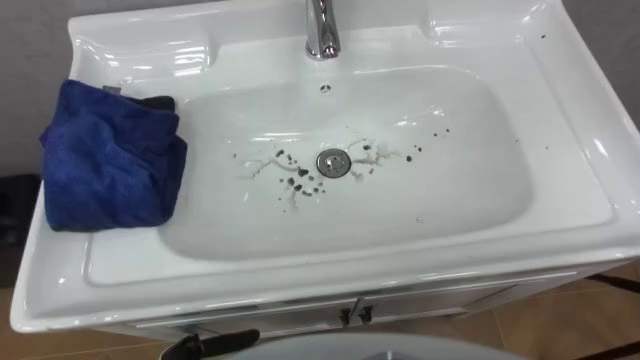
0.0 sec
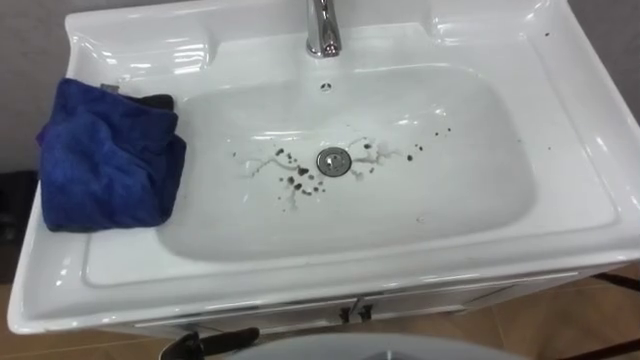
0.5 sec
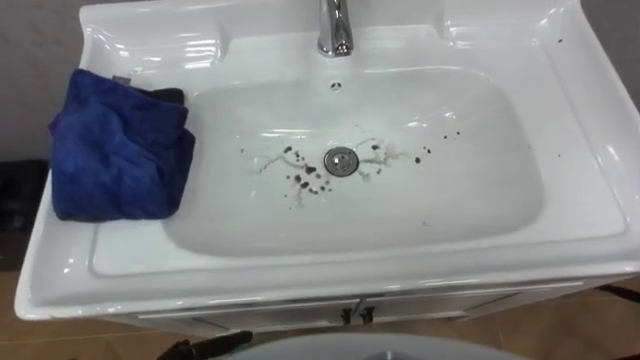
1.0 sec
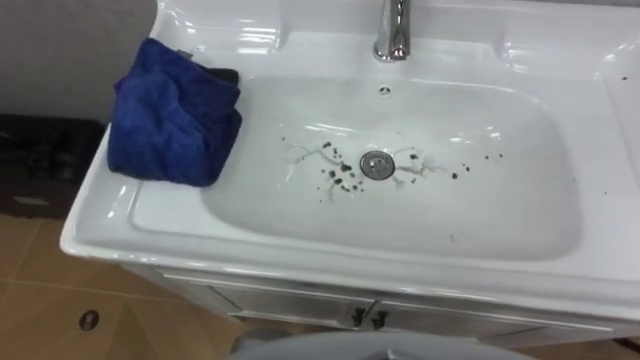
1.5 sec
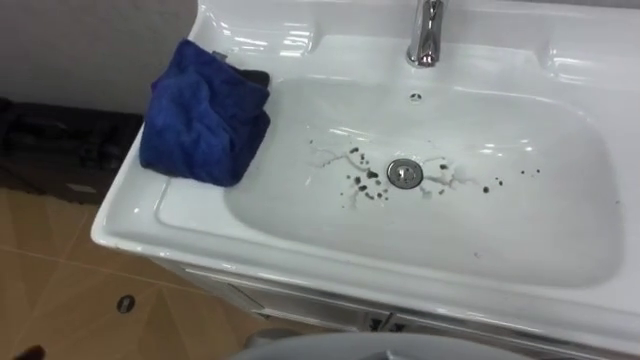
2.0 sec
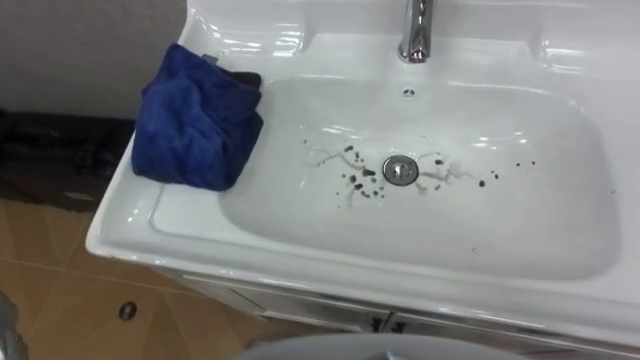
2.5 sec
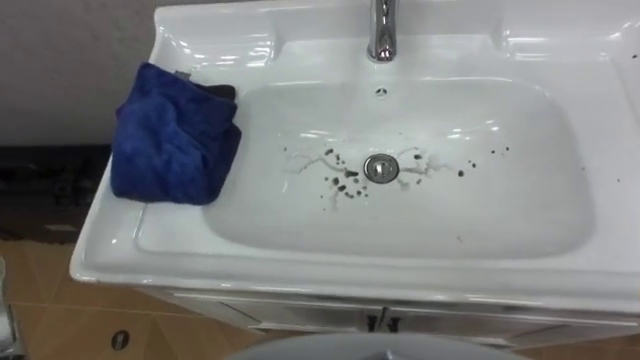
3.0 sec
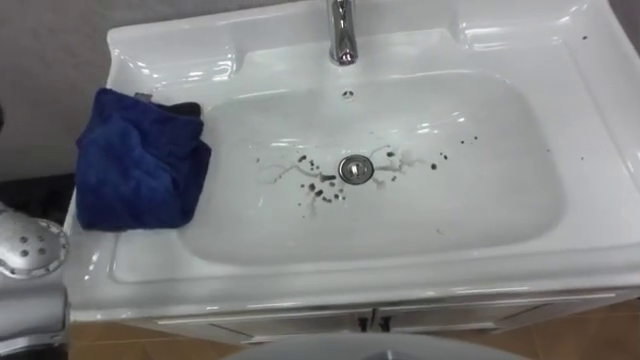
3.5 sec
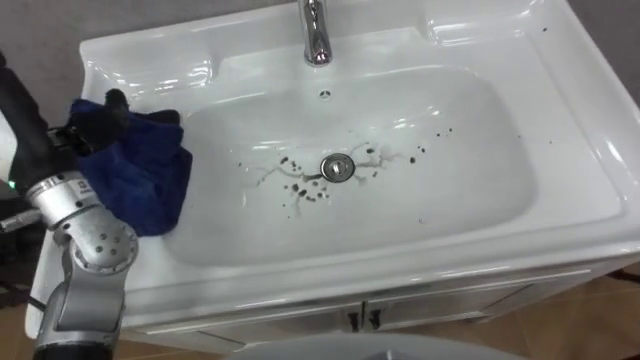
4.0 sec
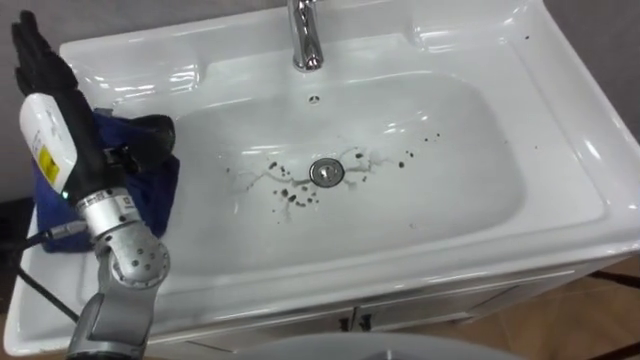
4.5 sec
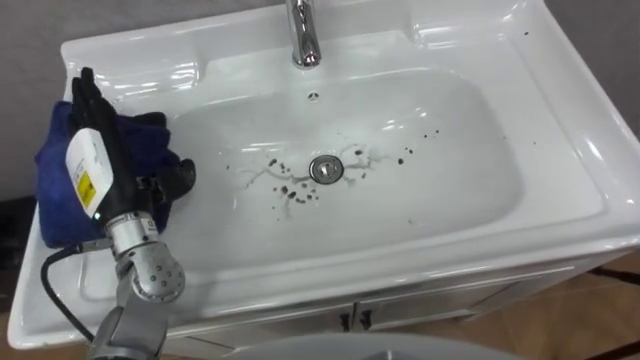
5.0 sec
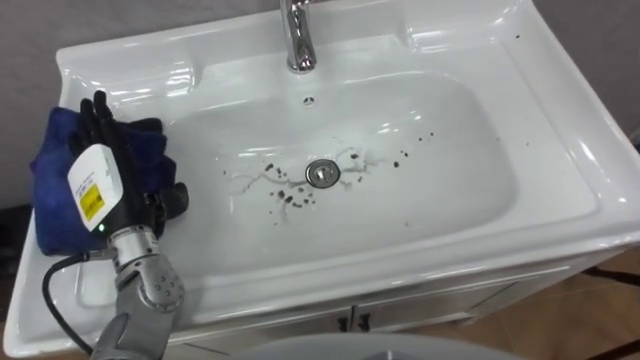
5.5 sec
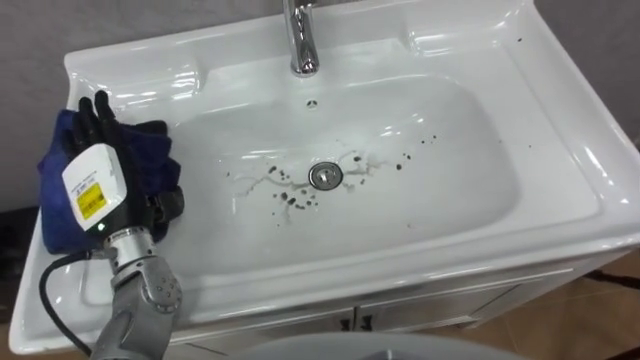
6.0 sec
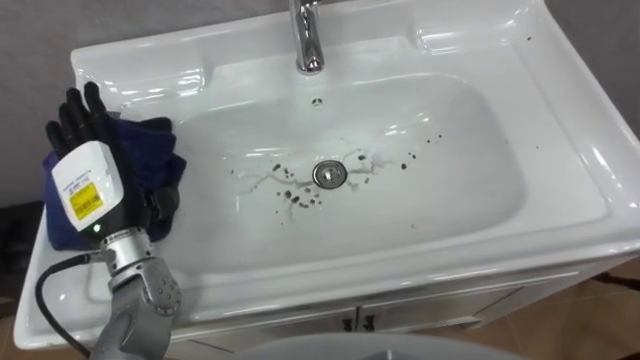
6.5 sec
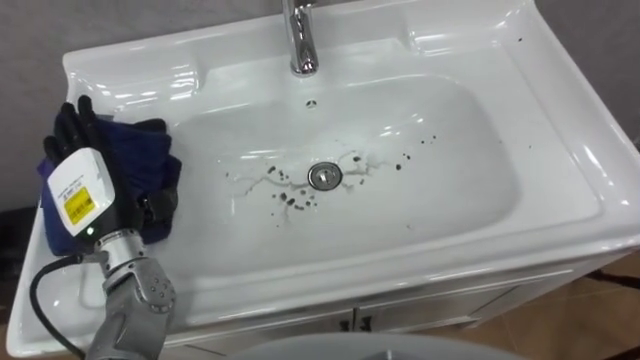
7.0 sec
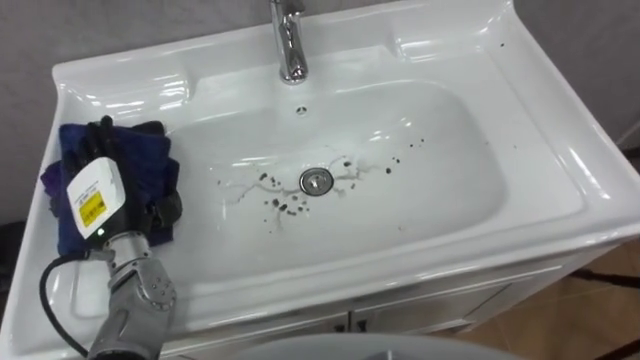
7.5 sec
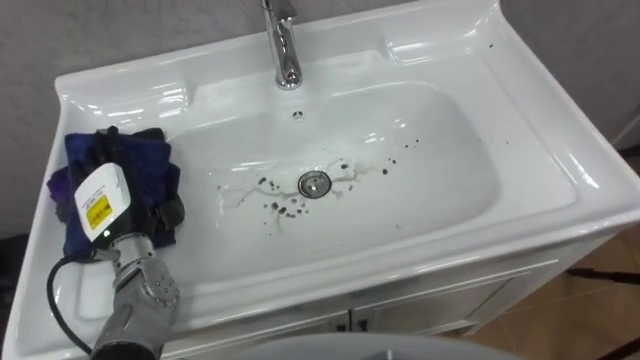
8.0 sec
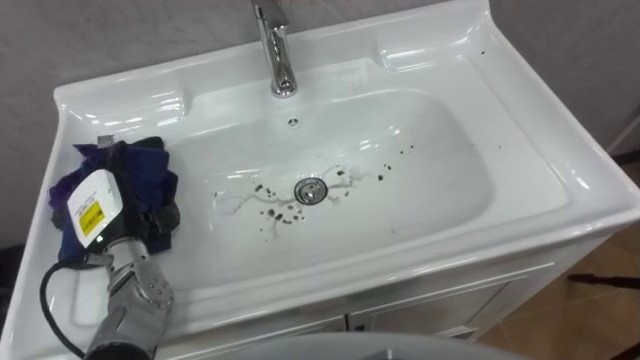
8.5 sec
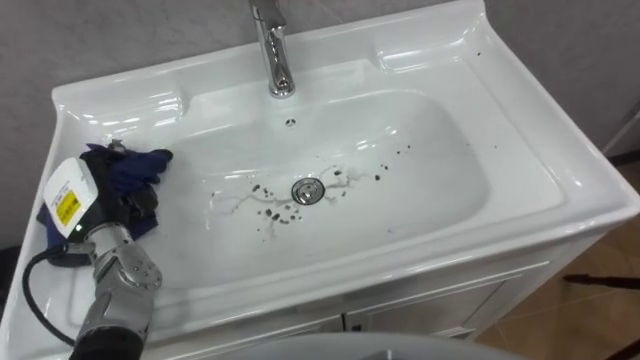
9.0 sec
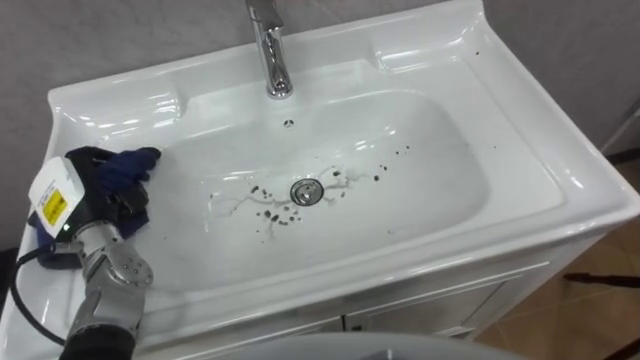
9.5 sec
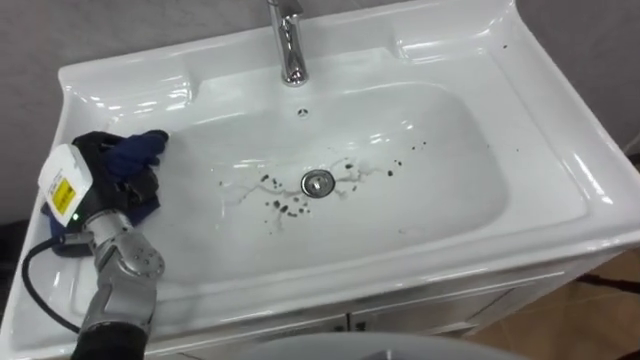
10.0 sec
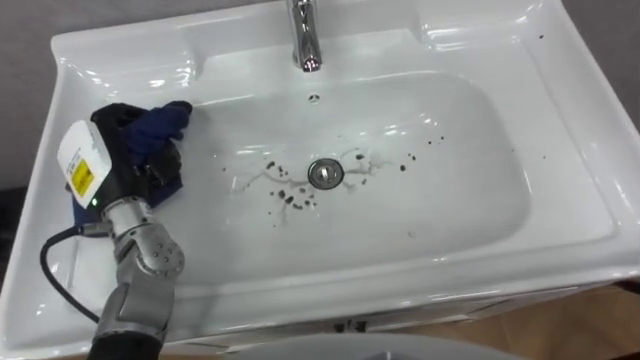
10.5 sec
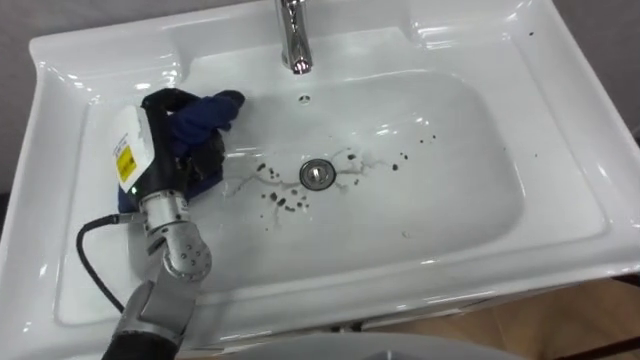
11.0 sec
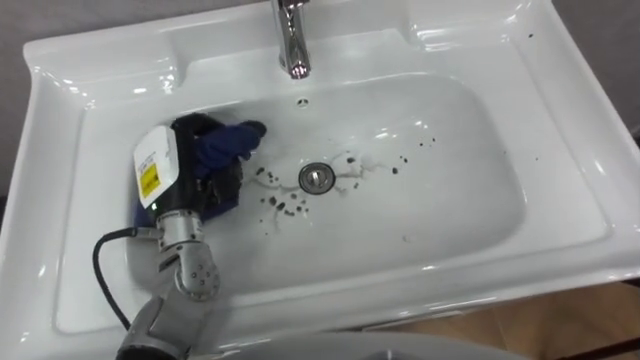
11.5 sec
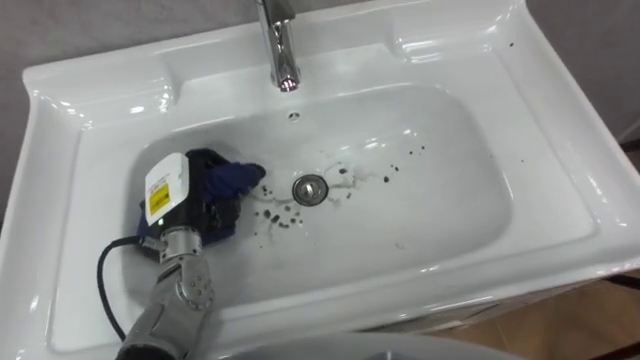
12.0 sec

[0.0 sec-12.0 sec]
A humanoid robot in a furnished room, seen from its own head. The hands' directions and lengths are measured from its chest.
Task of the whole recording: Use the cloth on the right to wipe away the black stain in the sink.
4.0 sec to 6.0 sec: The left hand shifts some 10 cm downward.
6.0 sec to 8.0 sec: The left hand heads downward, covering approximately 5 cm.
8.0 sec to 10.0 sec: The left hand closes its fingers.
10.0 sec to 12.0 sec: The left hand goes approximately 10 cm to the right.

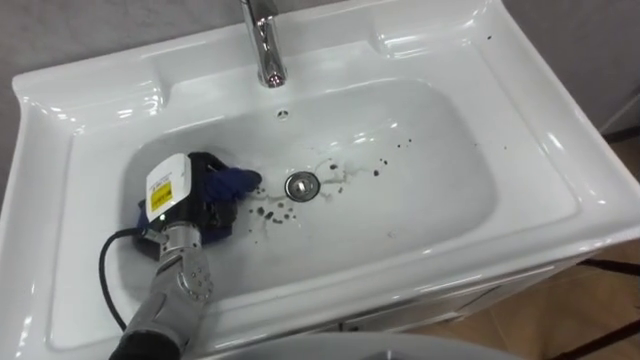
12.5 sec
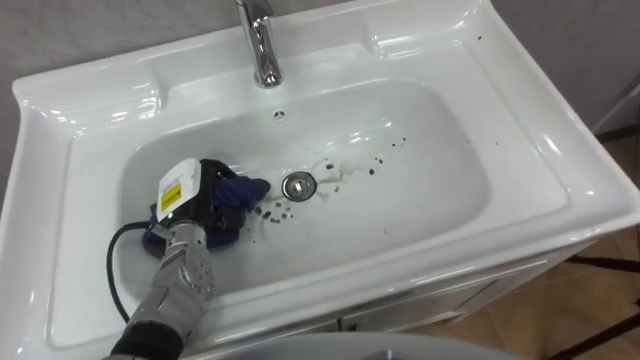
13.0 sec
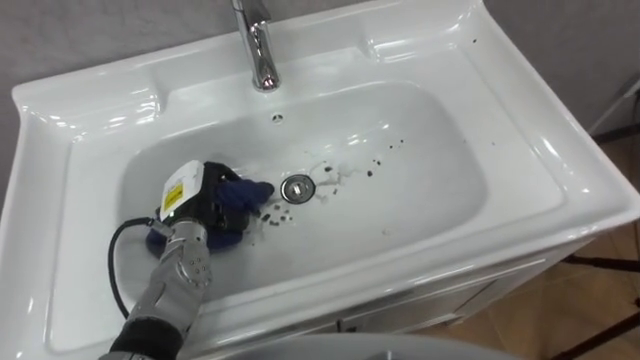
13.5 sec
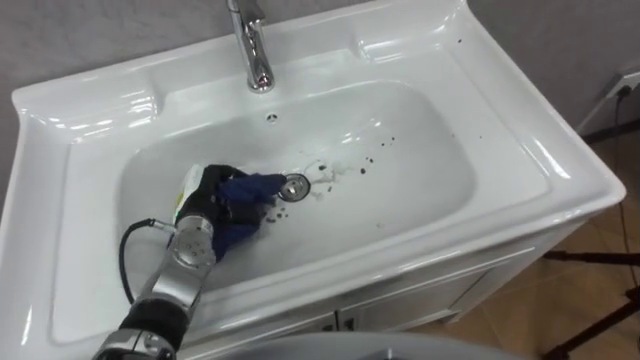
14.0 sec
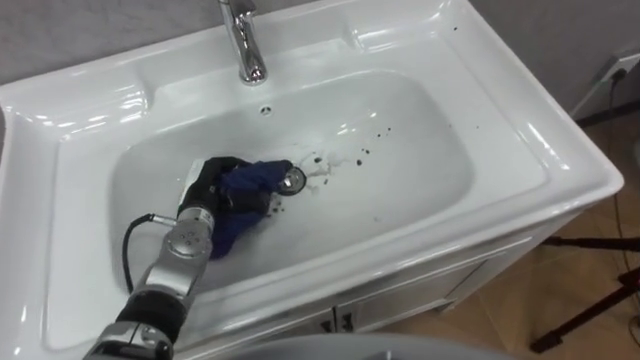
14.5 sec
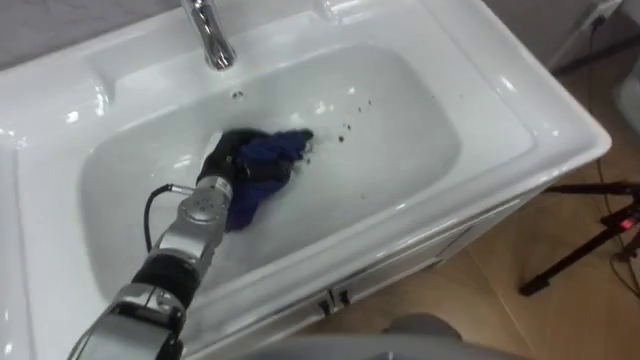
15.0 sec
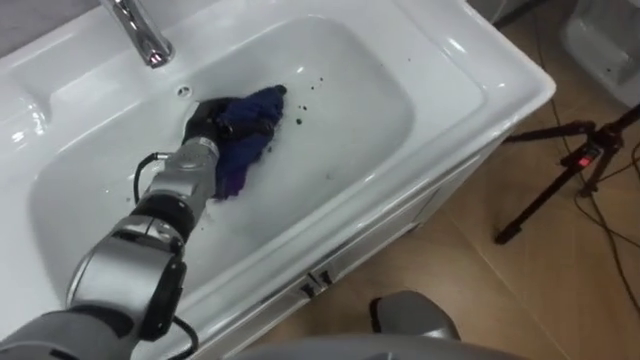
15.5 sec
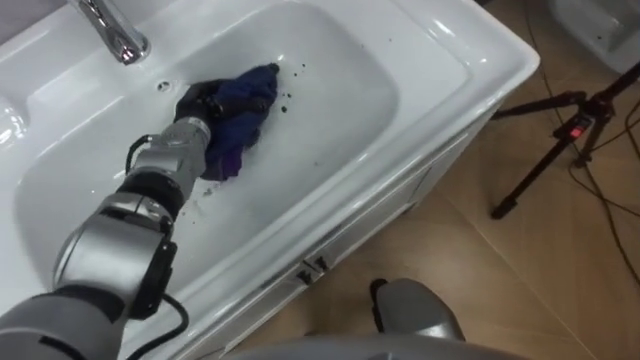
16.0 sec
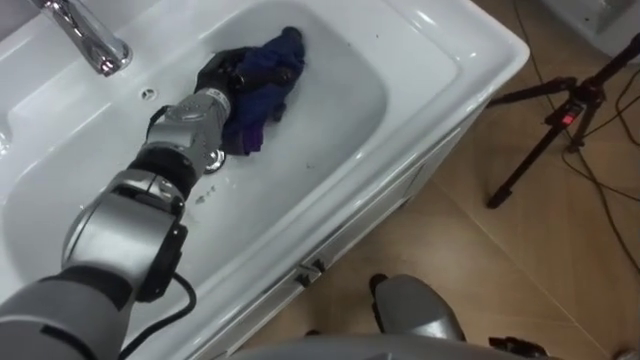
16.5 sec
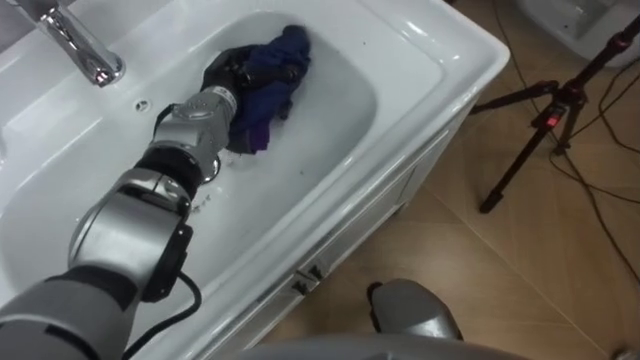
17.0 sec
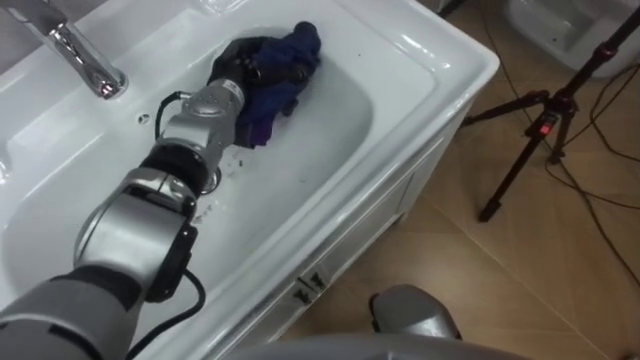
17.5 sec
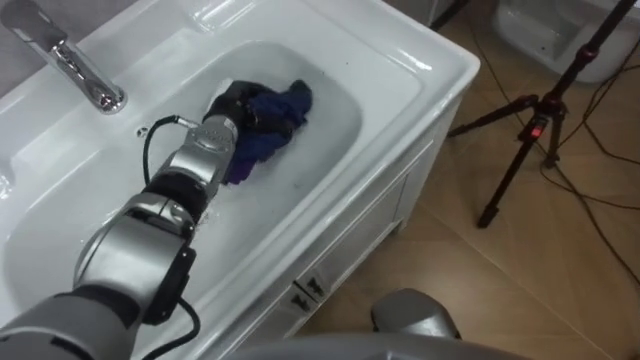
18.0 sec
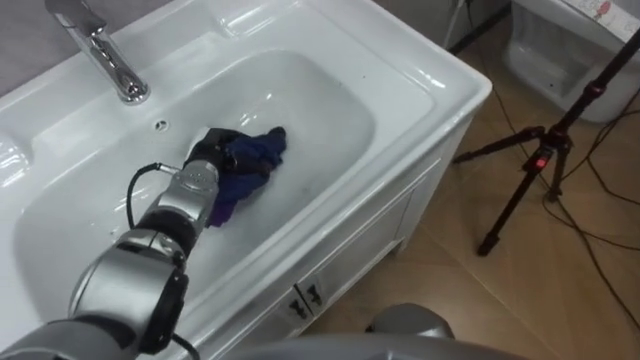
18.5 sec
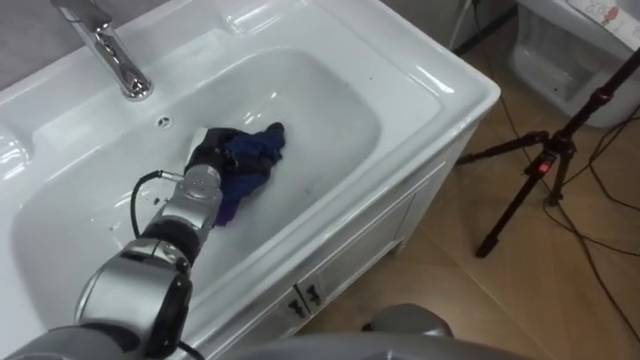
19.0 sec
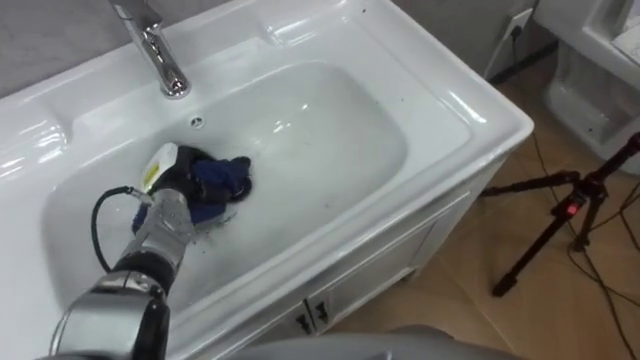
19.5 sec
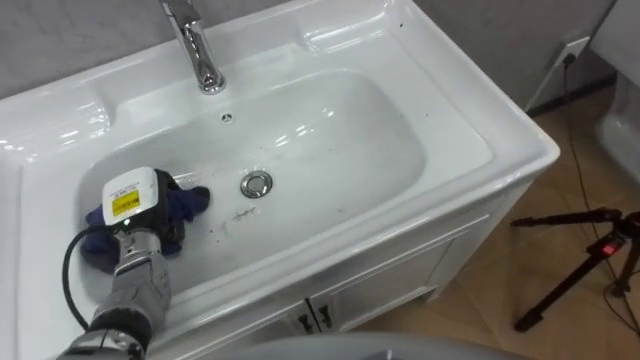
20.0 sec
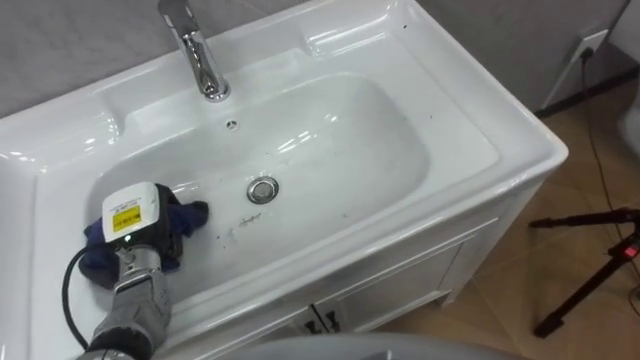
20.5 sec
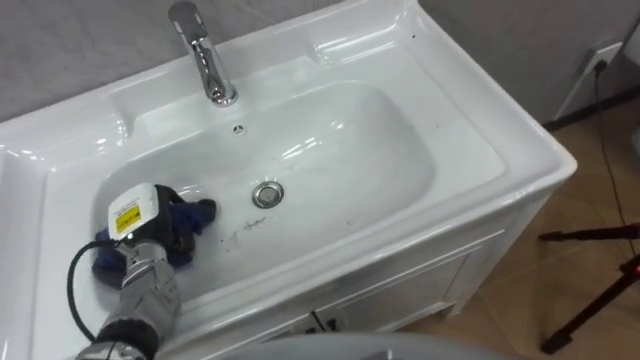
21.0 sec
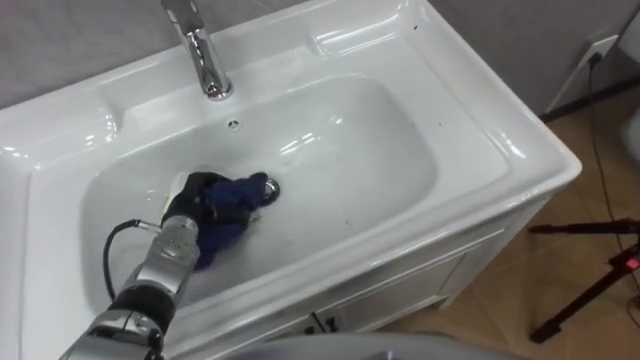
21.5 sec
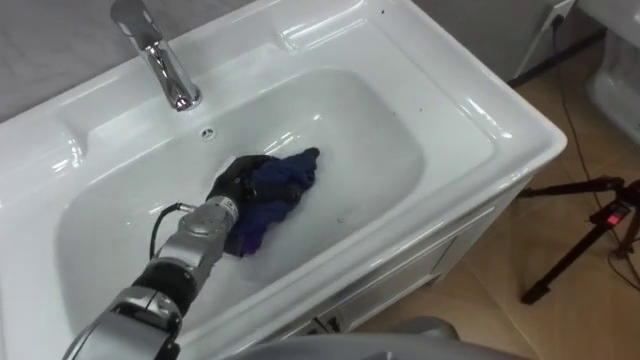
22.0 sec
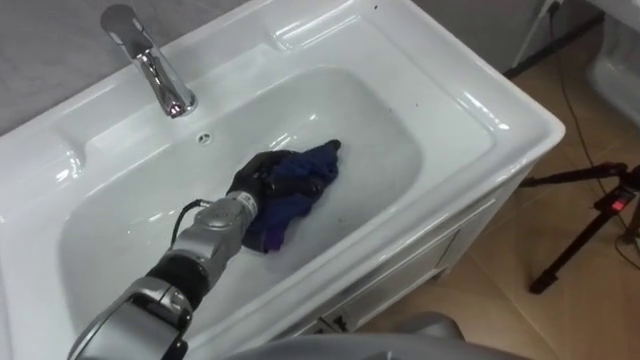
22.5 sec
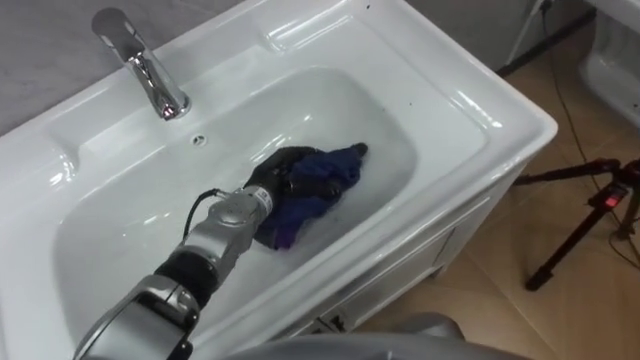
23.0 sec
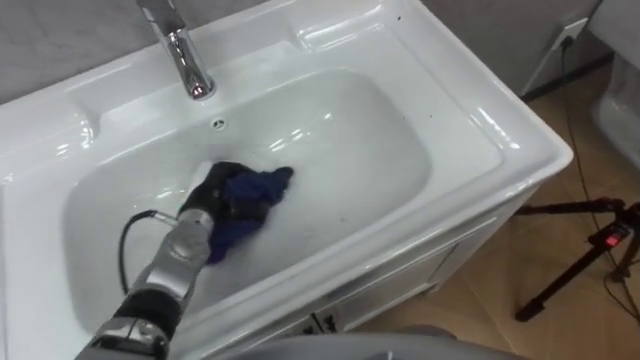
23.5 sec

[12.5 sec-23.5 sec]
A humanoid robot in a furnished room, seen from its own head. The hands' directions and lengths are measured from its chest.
Task of the whole recording: Use the cloth on the right to wipe away the black stain in the sink.
12.5 sec to 14.5 sec: The left hand moves approximately 5 cm.
14.5 sec to 16.0 sec: The left hand heads forward and upward, covering about 15 cm.
18.0 sec to 20.0 sec: The left hand moves backward, to the left and downward, about 20 cm.
20.0 sec to 21.5 sec: The left hand heads to the right, covering some 5 cm.
21.5 sec to 23.5 sec: The left hand reaches some 15 cm to the right, then returns.
